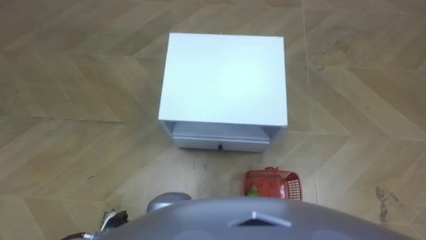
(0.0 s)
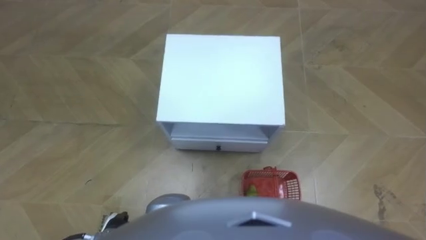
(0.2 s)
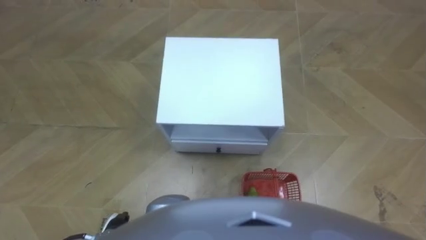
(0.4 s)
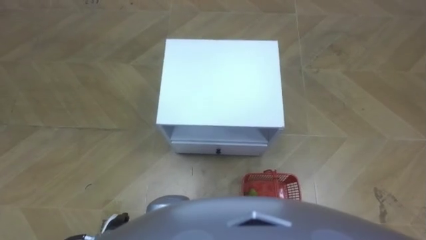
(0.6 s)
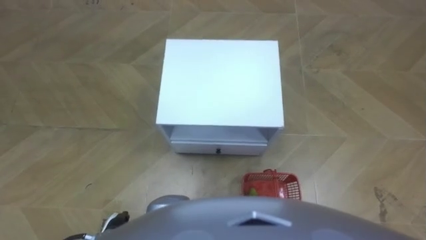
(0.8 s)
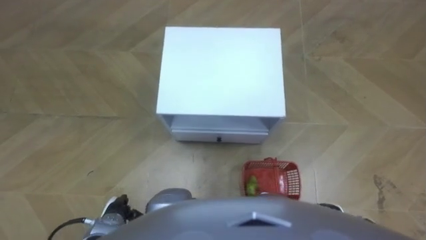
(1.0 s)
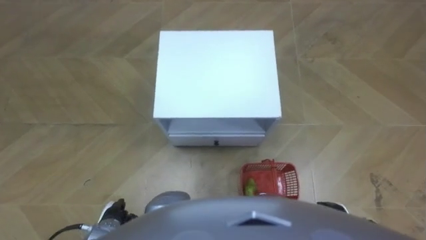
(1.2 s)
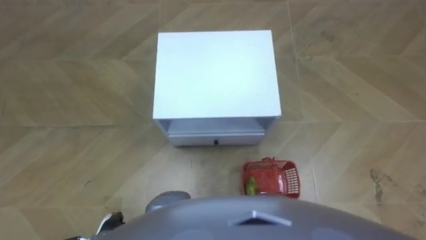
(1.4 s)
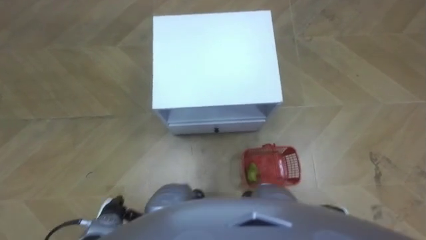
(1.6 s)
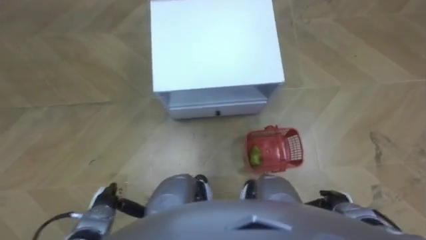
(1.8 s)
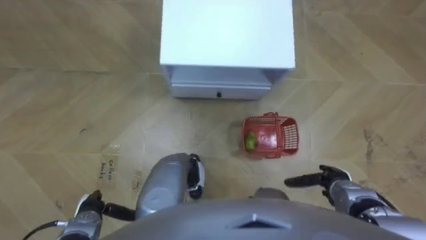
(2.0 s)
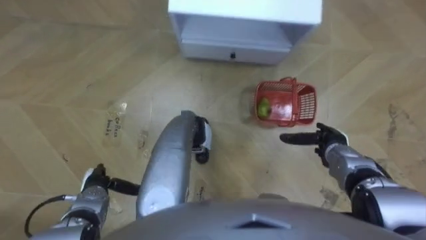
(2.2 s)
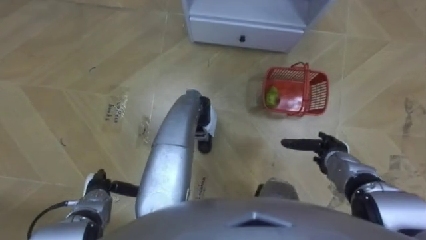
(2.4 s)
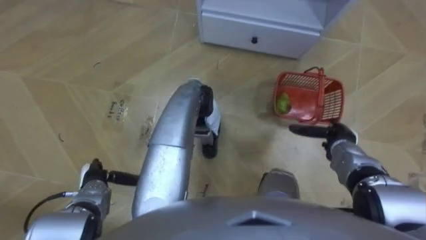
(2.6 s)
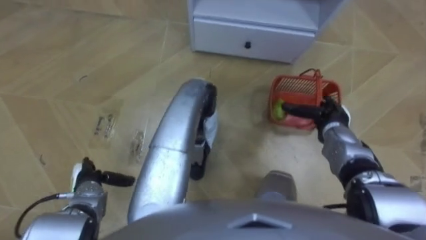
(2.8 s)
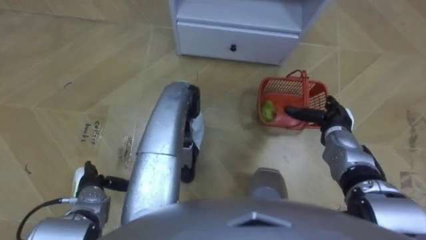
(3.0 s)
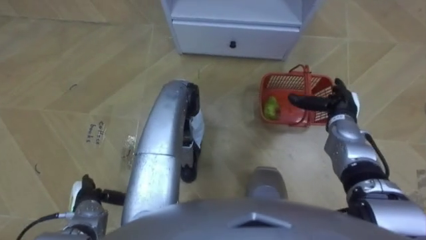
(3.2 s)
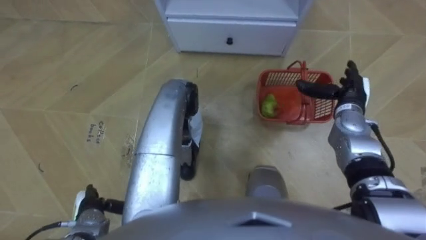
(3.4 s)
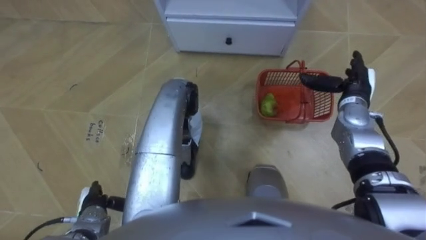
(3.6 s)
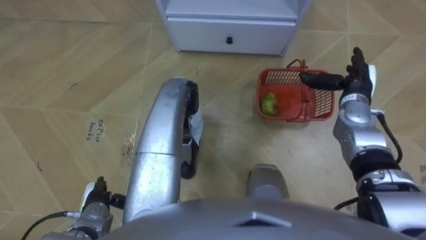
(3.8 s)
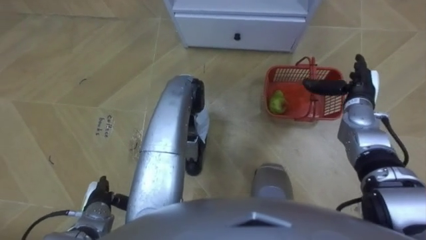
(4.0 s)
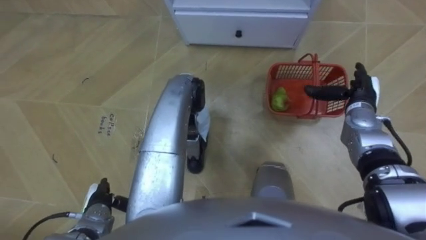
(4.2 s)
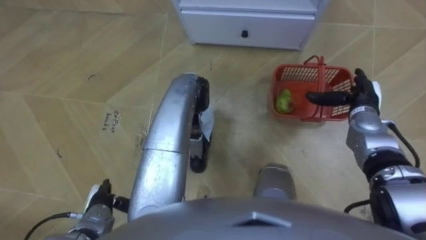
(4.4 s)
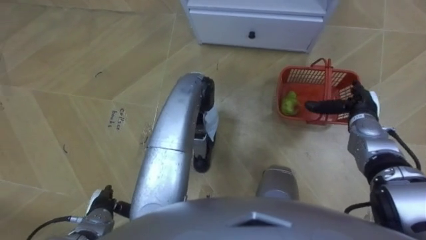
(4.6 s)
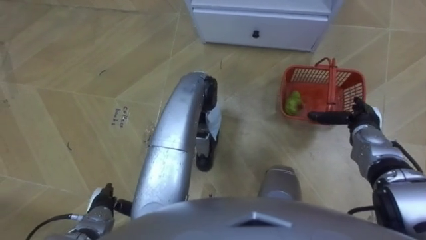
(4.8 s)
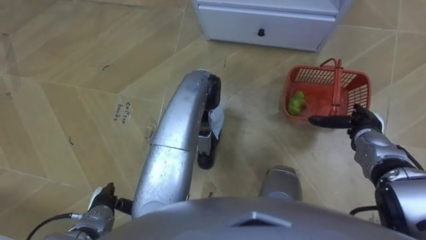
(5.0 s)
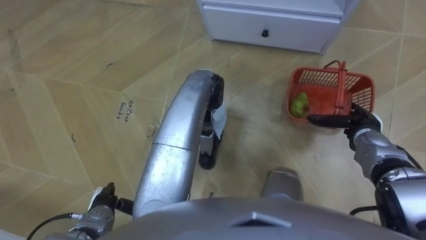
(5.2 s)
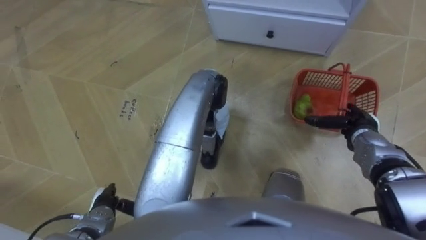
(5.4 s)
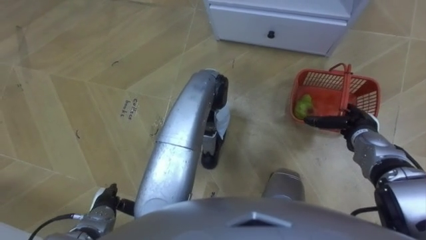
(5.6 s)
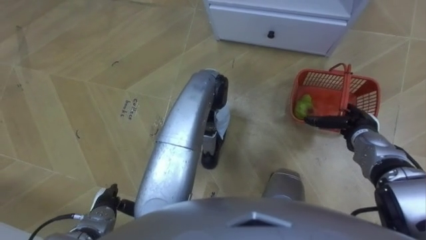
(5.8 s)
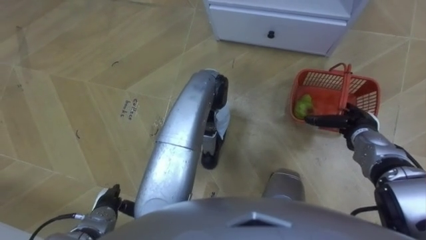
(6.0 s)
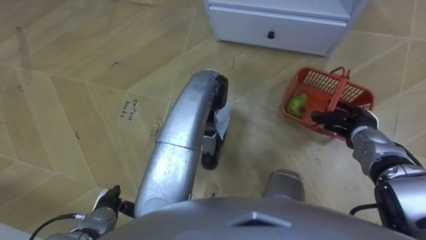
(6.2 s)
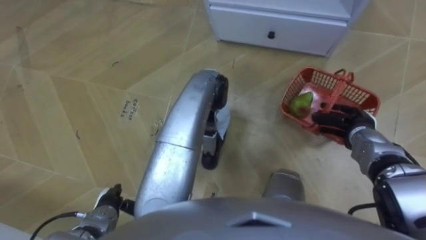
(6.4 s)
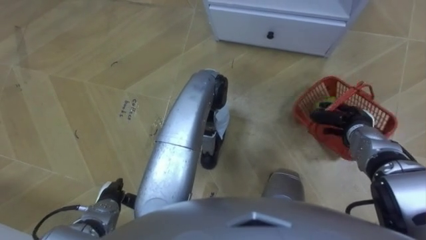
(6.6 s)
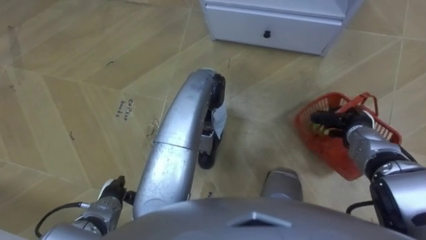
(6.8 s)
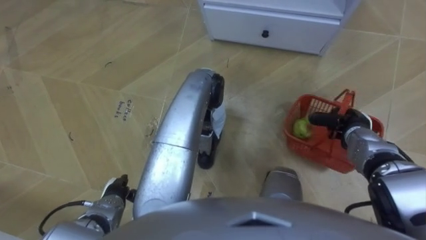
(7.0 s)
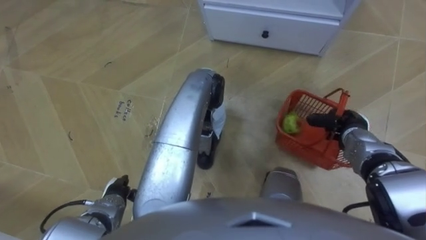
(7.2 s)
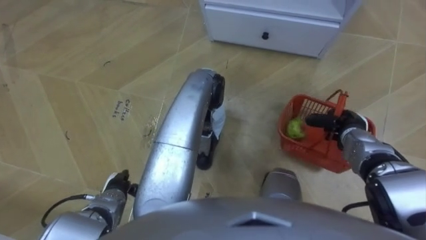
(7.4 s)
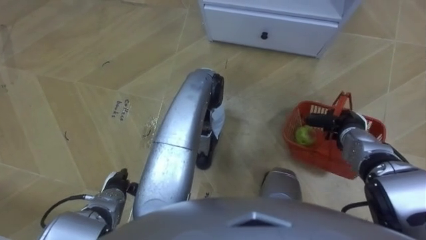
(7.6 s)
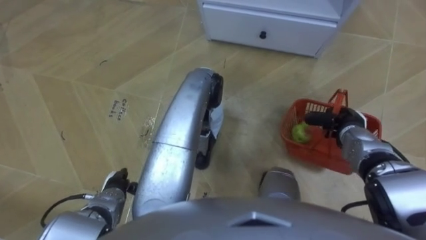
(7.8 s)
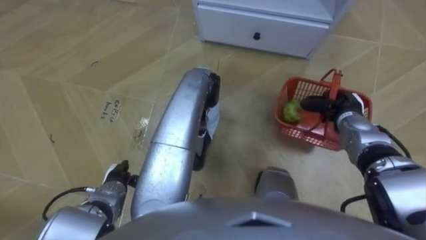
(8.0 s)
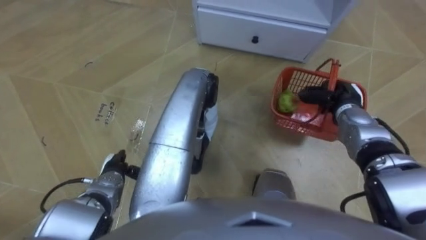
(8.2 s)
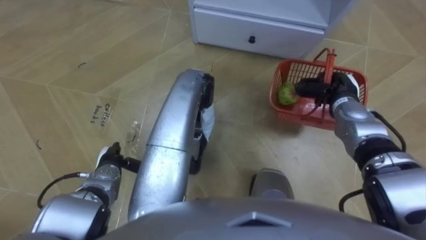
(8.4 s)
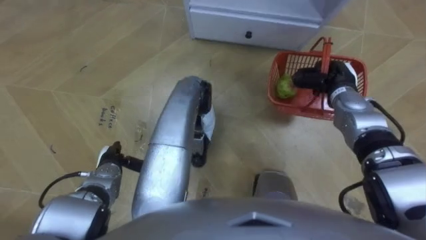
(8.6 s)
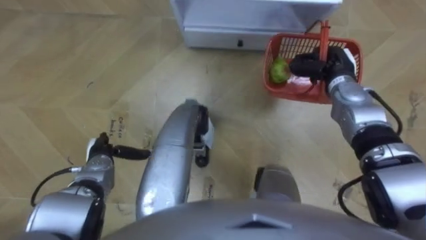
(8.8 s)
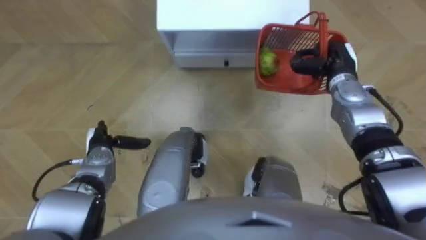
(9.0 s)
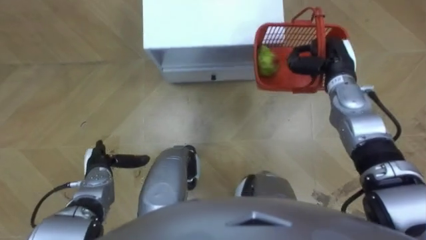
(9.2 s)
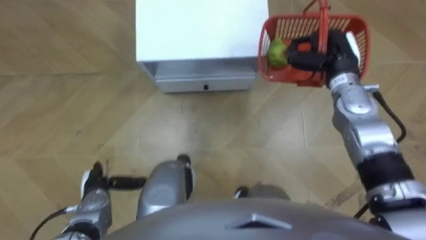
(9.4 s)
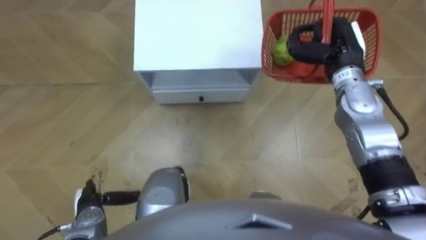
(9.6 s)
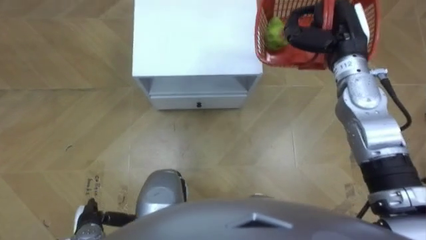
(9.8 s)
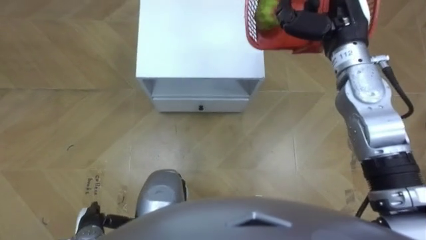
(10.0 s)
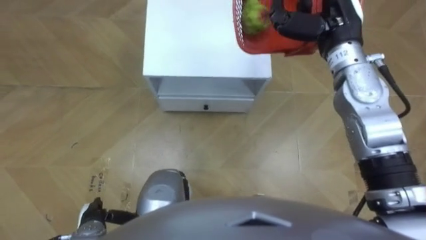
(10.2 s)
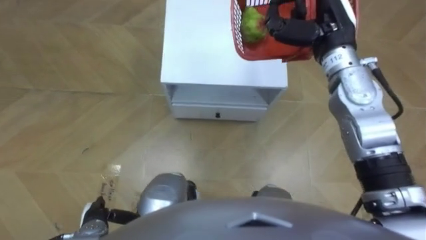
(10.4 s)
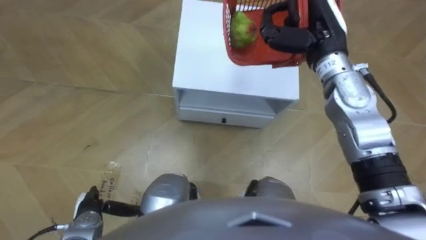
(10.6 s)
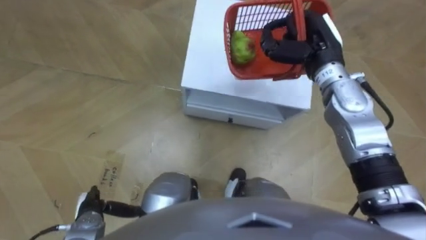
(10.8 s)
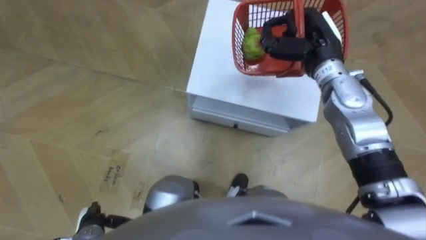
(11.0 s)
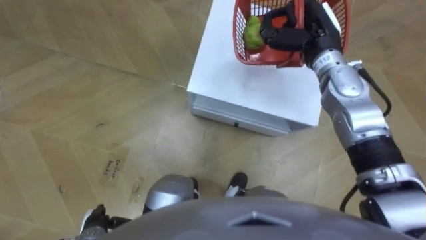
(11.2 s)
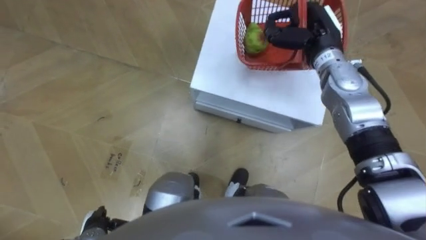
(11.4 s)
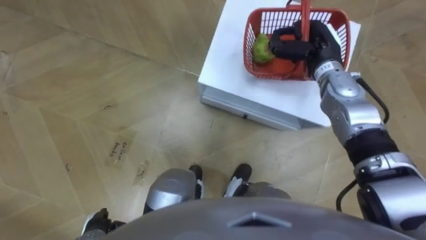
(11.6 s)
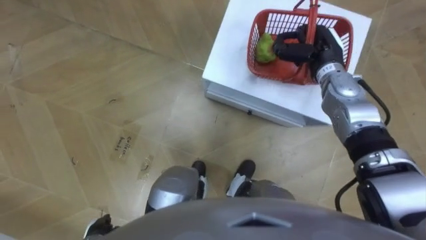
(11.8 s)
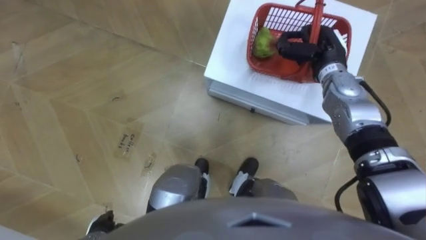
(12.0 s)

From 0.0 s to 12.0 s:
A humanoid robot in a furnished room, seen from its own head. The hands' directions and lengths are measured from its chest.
Task of the whole recording: Pick up the fruit basket from the floor and place it on the cabinet.
From 1.6 s to 3.0 s: The left hand shifts roughly 10 cm forward, while the right hand goes roughly 25 cm forward.
From 3.0 s to 4.4 s: The left hand changes place by about 5 cm. The right hand ends up roughly 5 cm from where it was.
From 4.4 s to 6.0 s: The right hand changes place by approximately 5 cm.
From 6.0 s to 7.6 s: The right hand closes.
From 7.6 s to 9.0 s: The left hand shifts about 10 cm forward, while the right hand heads forward and upward, covering some 15 cm.
From 9.0 s to 10.4 s: The left hand goes approximately 15 cm backward; the right hand travels upward and to the left by some 15 cm.
From 10.4 s to 12.0 s: The right hand goes approximately 10 cm downward.

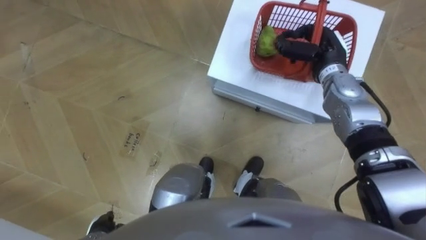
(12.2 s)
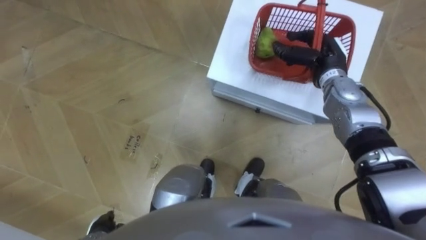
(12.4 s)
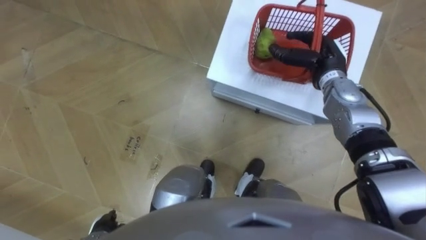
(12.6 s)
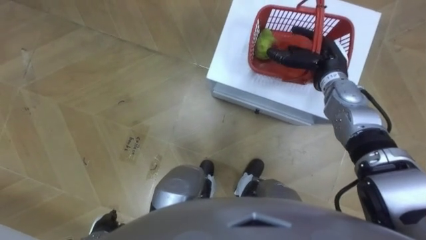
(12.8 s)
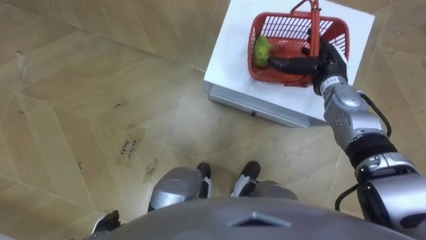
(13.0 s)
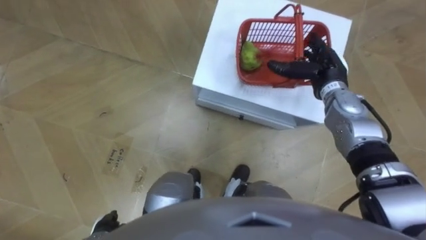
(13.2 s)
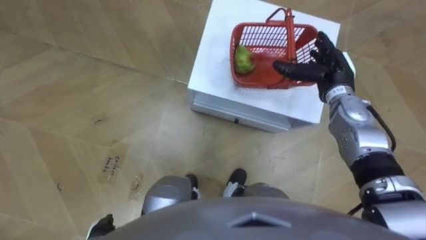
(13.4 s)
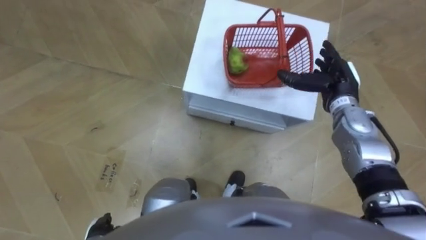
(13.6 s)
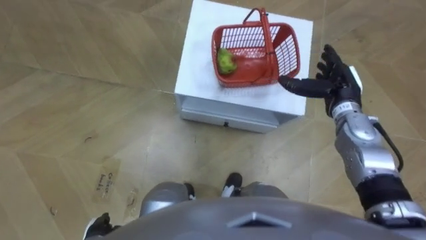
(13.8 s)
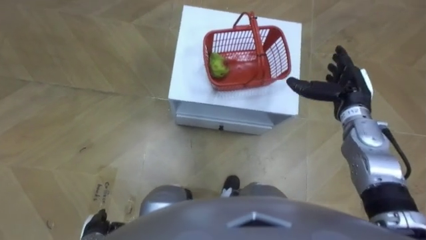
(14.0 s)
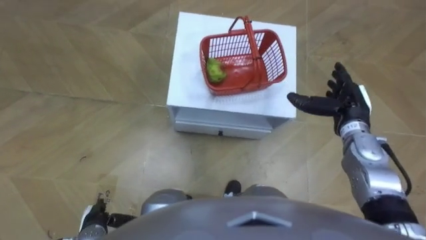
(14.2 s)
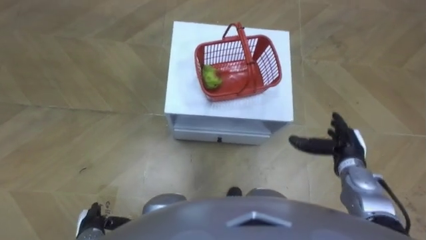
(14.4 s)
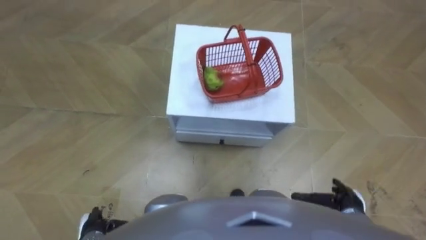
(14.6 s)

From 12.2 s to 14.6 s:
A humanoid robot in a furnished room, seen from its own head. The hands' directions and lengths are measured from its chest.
Task of the whole recording: Pick up the fruit basket from the floor and place it on the cabinet.
From 12.2 s to 13.4 s: The right hand opens its fingers.
From 13.4 s to 14.6 s: The right hand is displaced backward and downward by roughly 30 cm.

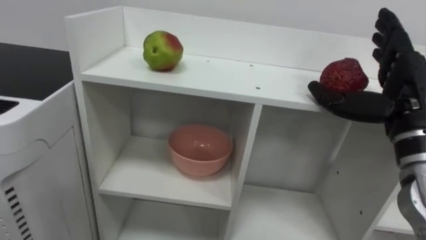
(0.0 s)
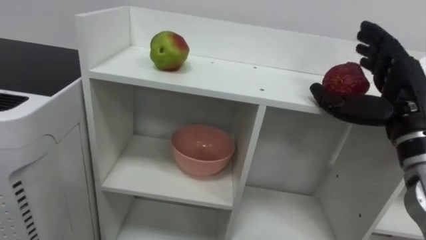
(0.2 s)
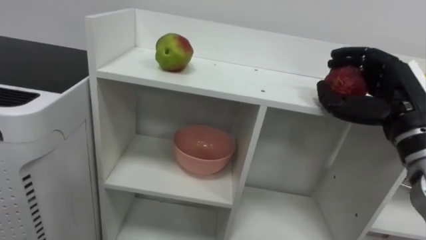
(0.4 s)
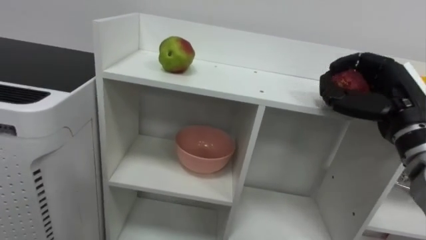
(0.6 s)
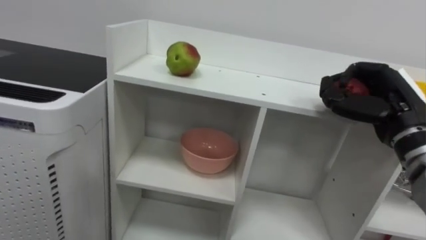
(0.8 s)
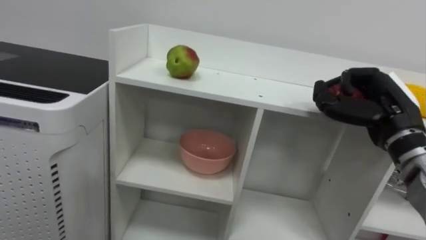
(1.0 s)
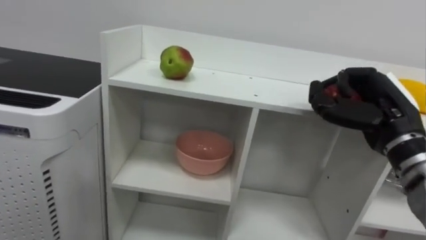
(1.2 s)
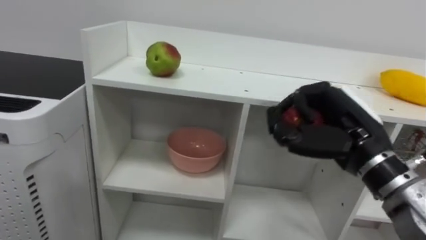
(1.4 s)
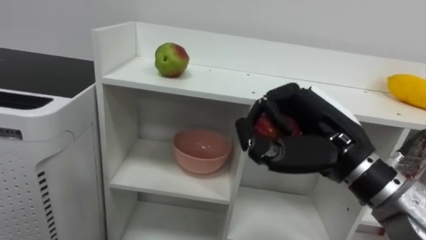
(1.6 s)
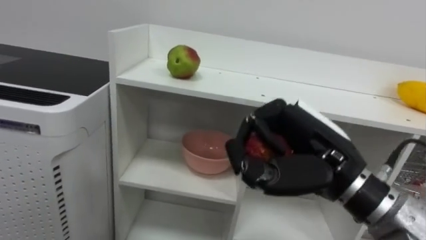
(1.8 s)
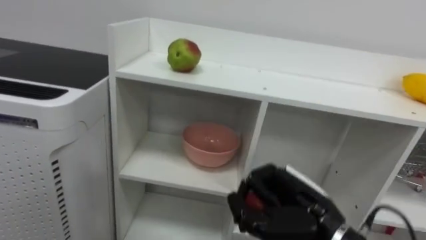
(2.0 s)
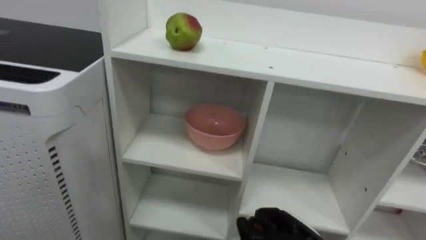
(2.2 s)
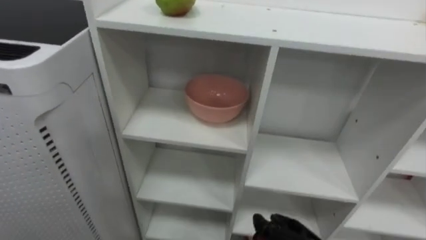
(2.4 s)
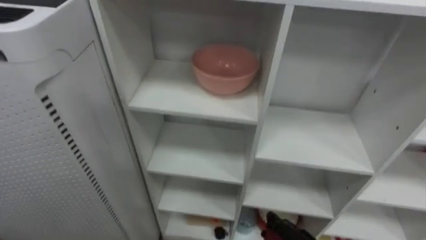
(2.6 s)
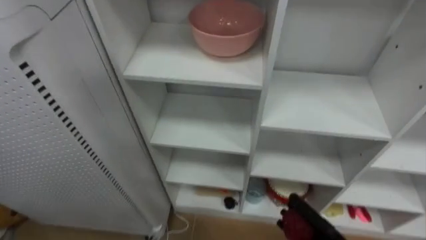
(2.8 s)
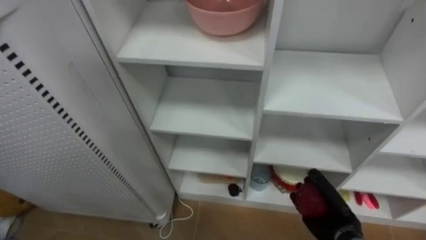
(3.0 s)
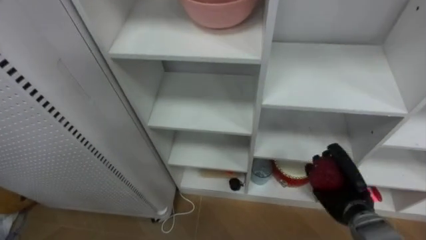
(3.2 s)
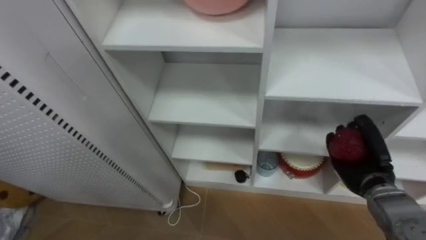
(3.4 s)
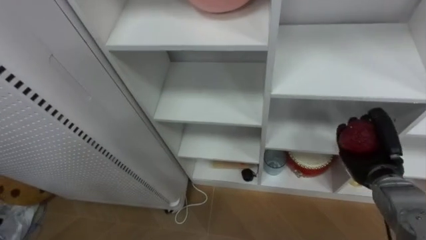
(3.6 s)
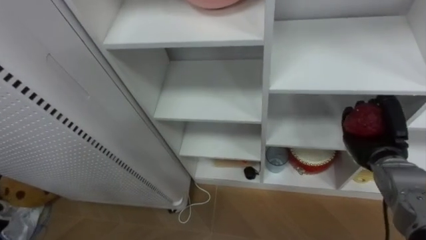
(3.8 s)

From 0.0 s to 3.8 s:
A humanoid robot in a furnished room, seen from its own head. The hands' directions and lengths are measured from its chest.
Task of the whole recording: Put the apple in the cell in the second column from the left and the second row from the top.
From 0.0 s to 1.2 s: The right hand closes up.
